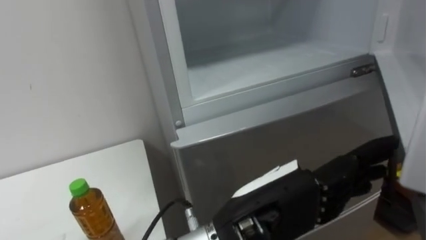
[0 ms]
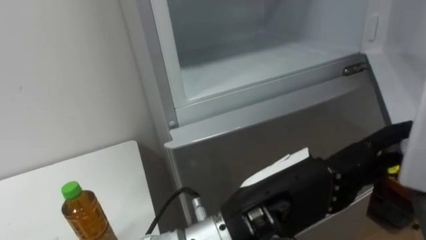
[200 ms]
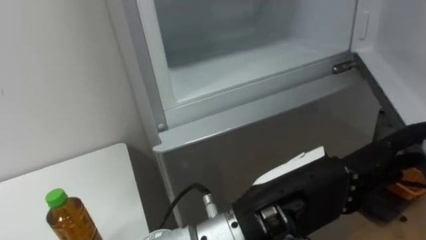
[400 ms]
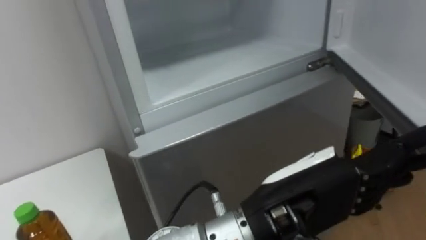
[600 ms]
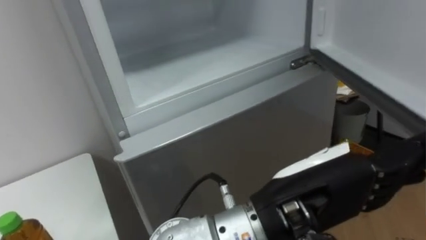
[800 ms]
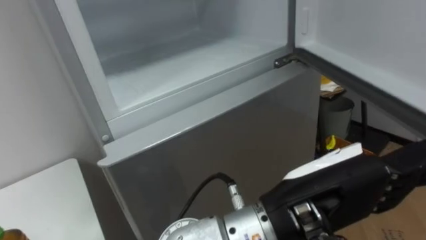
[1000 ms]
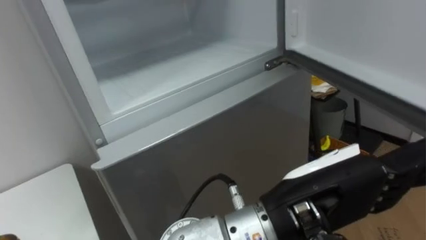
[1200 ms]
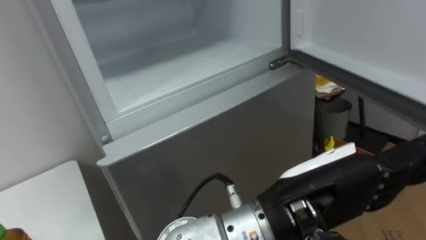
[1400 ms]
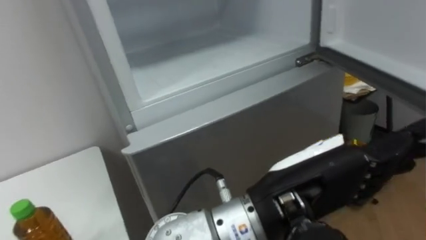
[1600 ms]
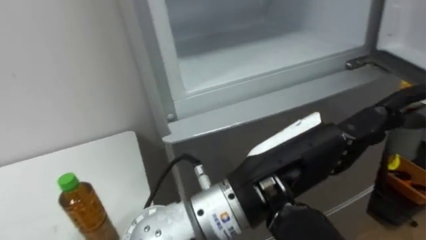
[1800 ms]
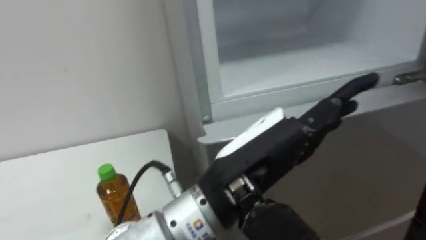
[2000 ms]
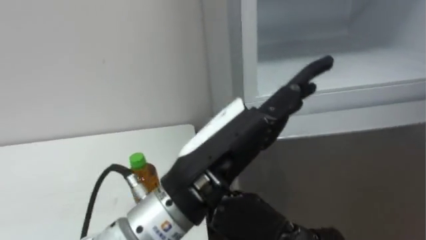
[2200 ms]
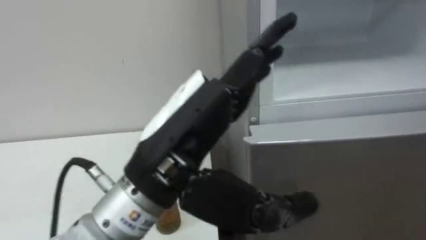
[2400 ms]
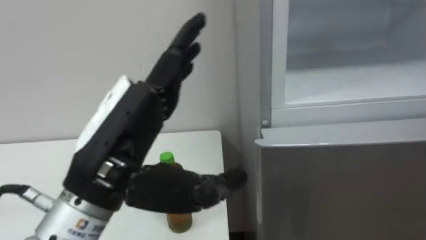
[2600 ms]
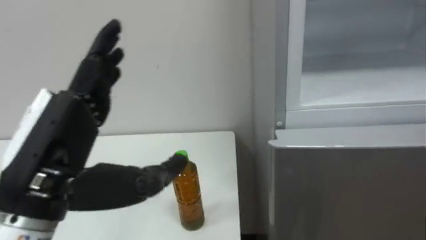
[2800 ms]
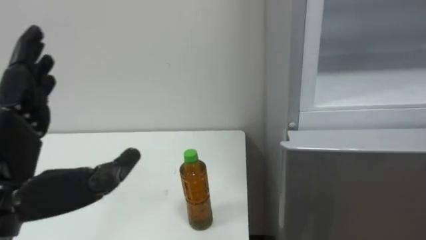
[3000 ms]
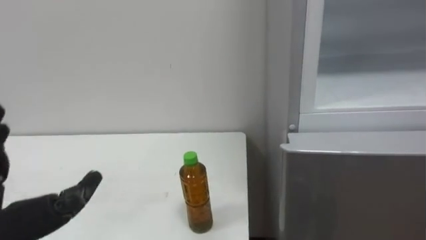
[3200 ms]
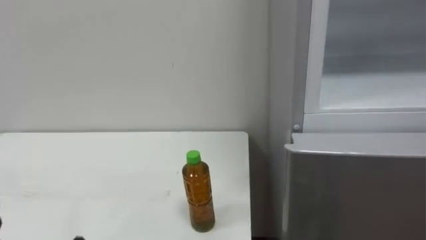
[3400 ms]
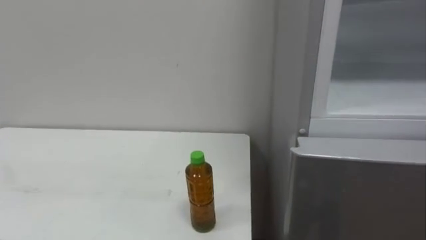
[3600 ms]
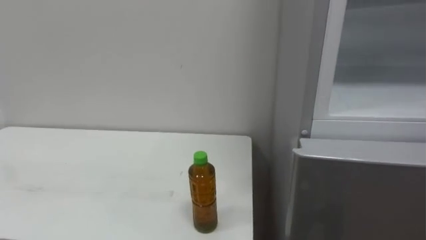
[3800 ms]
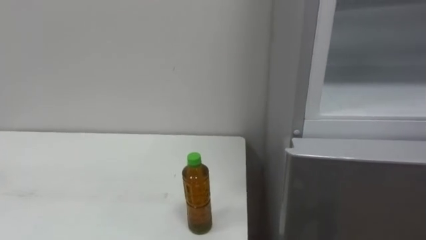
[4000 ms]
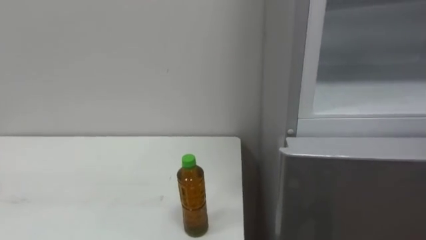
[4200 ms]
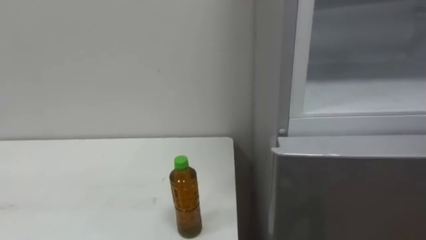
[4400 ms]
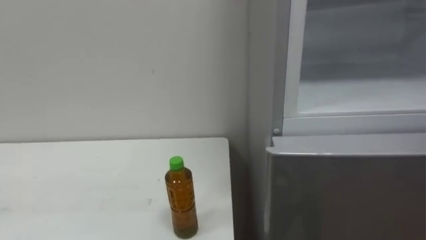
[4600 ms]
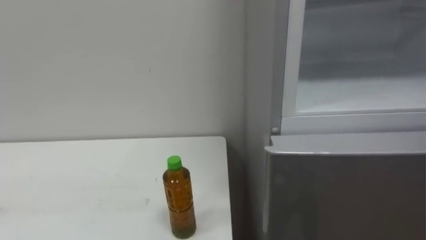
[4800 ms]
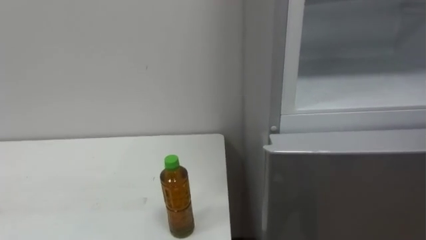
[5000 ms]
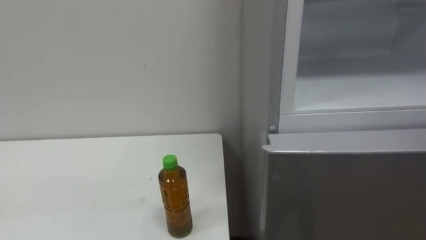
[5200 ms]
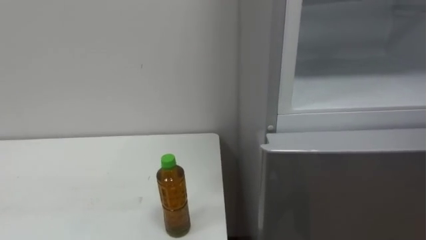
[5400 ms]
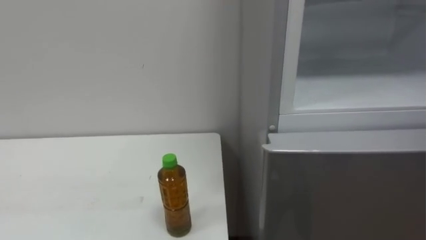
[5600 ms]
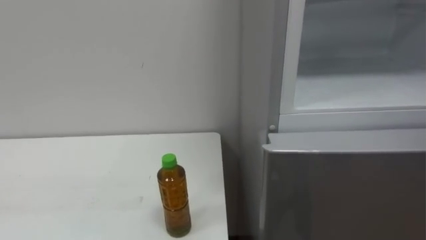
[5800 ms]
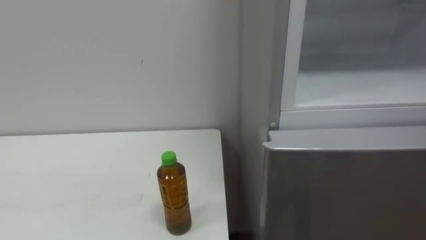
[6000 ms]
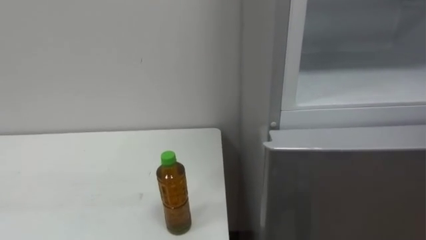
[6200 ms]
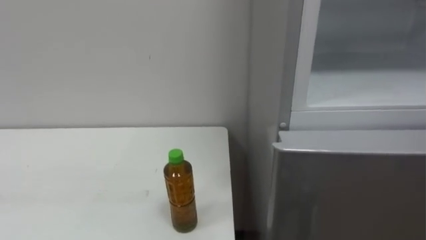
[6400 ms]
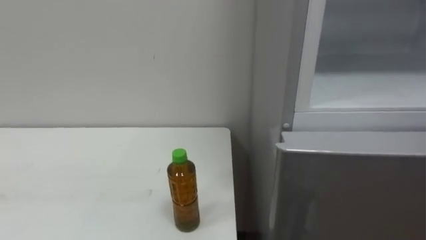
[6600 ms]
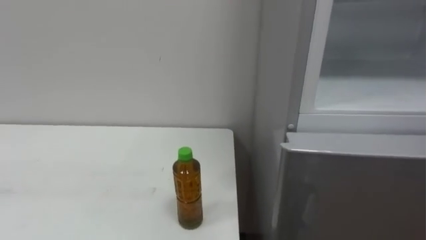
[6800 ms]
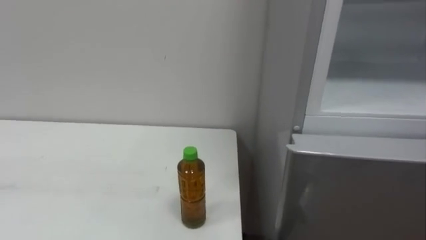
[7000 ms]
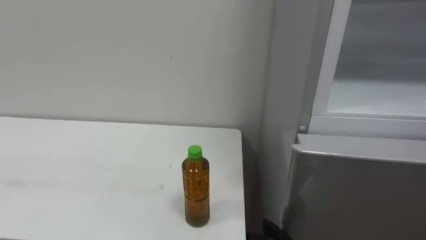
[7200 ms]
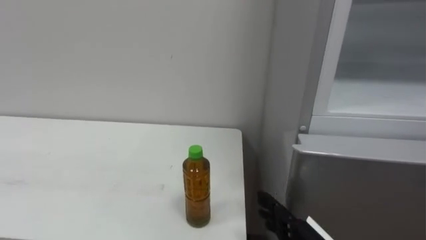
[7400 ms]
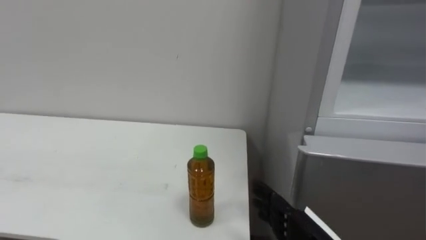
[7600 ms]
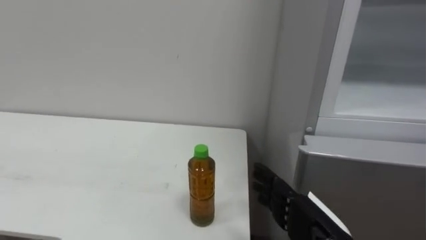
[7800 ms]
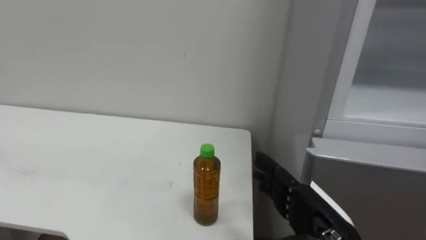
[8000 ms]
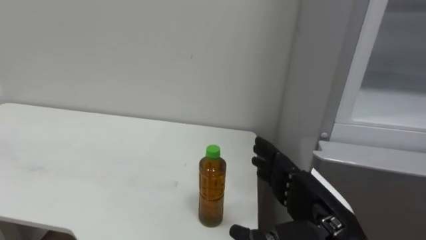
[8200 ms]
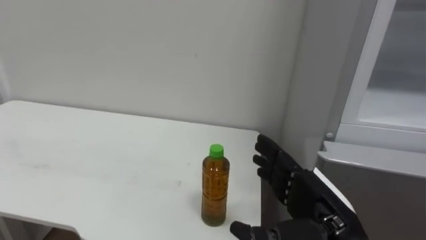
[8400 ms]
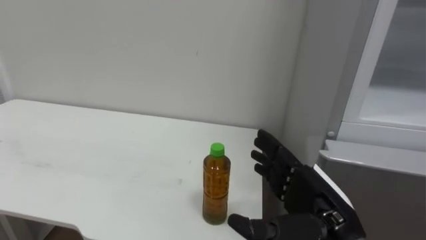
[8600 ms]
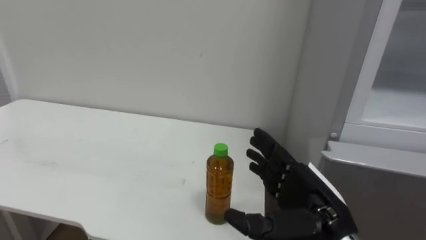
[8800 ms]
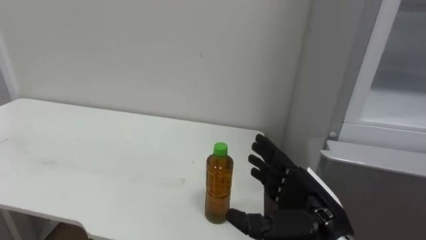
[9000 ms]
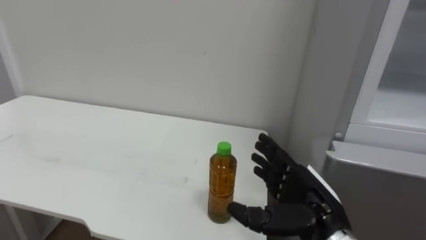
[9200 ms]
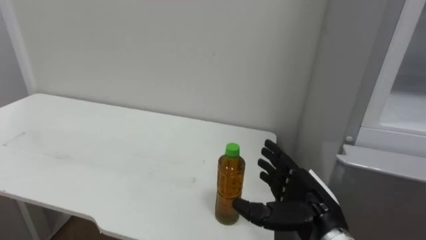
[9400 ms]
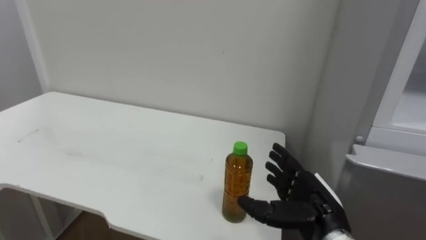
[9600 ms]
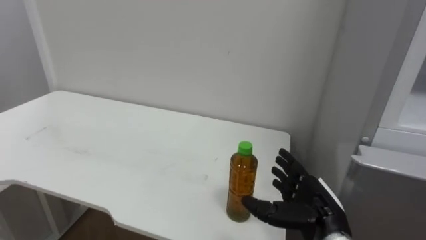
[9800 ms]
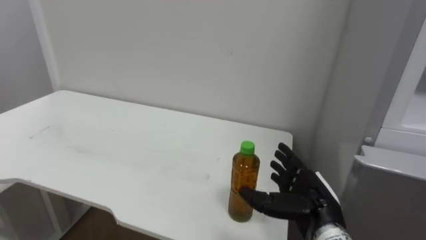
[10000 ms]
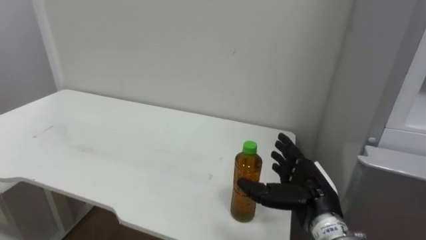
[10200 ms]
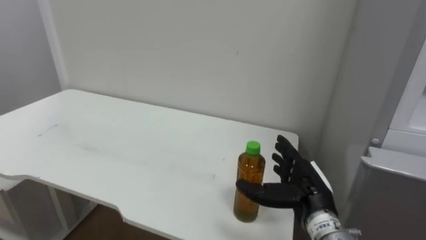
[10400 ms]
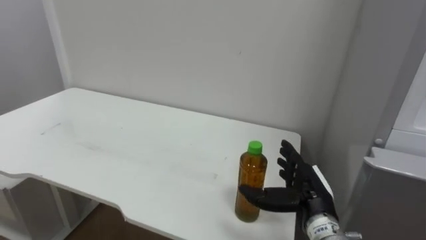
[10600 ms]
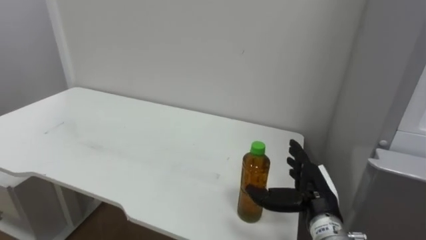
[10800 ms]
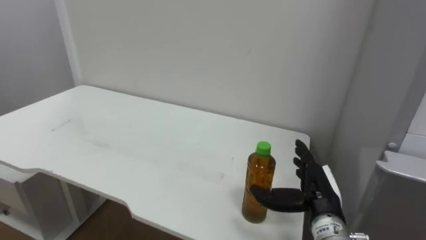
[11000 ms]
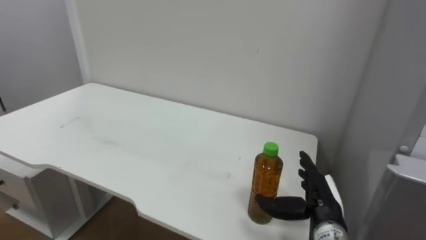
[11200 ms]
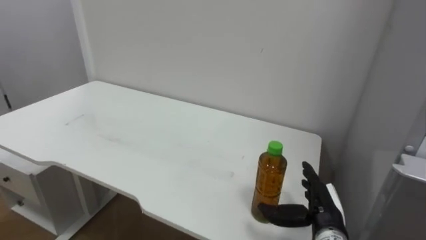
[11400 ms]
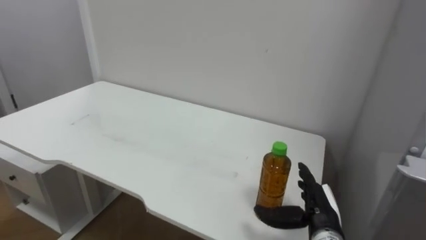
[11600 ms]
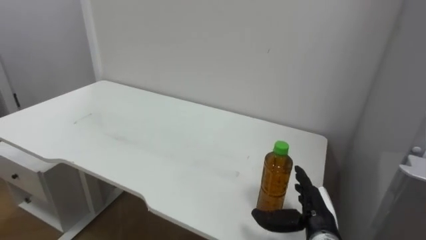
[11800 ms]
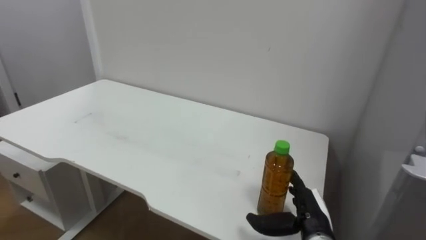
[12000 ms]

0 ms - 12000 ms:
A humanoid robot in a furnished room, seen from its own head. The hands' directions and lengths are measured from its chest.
Task of the whole recording: Open the upper refrigerator door, put the drink from the table into the refrigerator, and then close the refrigerator door.
1600 ms - 3000 ms: The left hand heads to the left, covering roughly 30 cm.
7600 ms - 9000 ms: The right hand ends up some 5 cm from where it was.
9000 ms - 10400 ms: The right hand shifts approximately 5 cm forward.
10400 ms - 12000 ms: The right hand heads downward, covering about 5 cm.

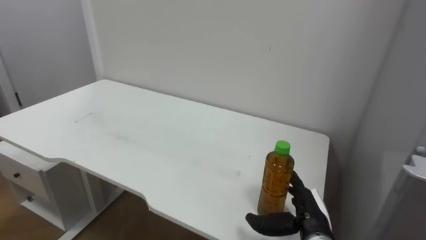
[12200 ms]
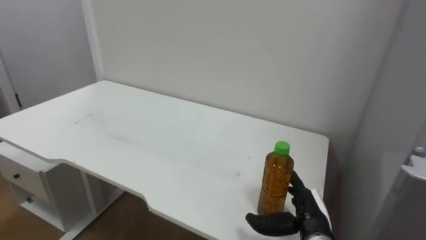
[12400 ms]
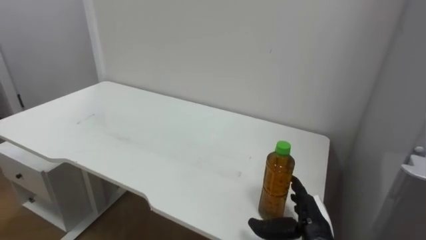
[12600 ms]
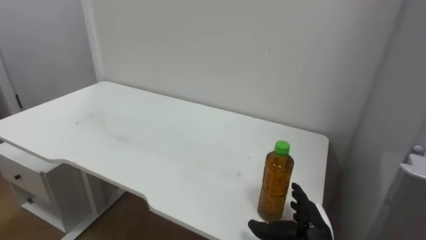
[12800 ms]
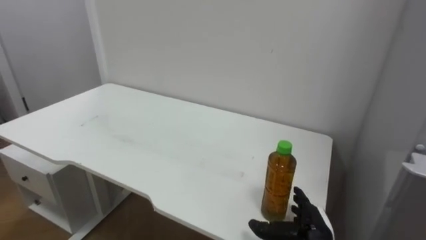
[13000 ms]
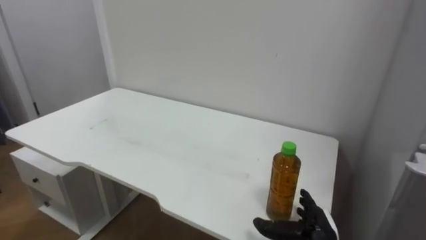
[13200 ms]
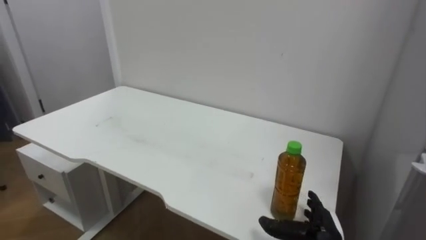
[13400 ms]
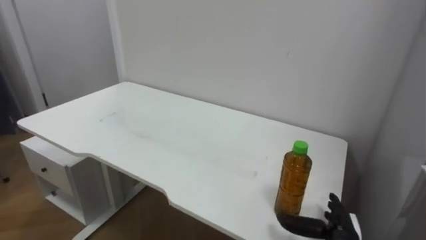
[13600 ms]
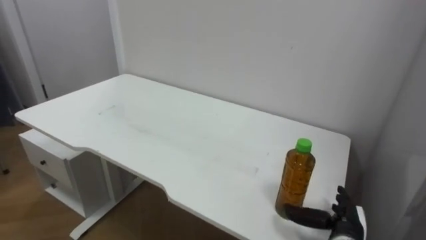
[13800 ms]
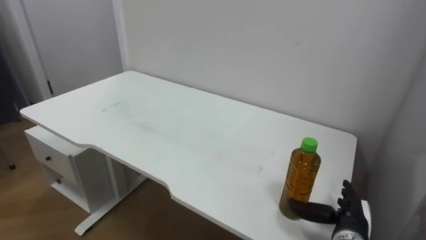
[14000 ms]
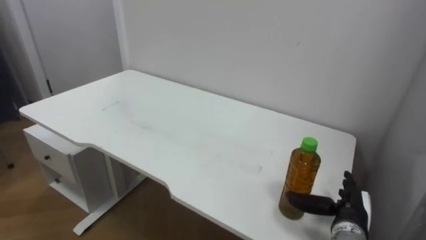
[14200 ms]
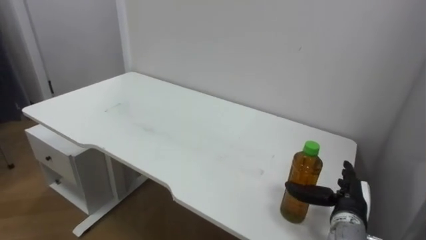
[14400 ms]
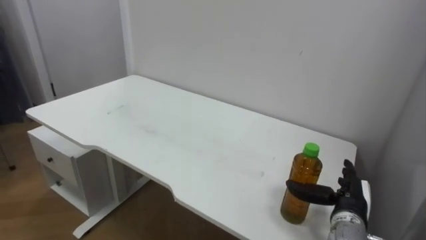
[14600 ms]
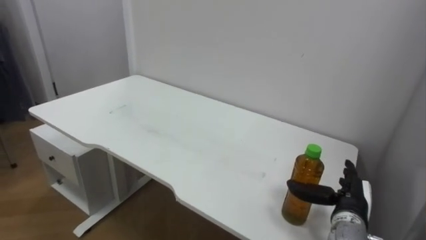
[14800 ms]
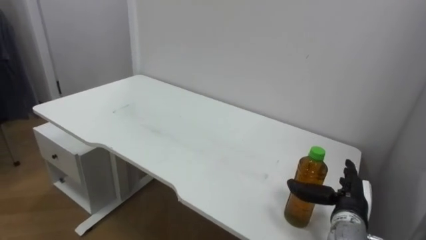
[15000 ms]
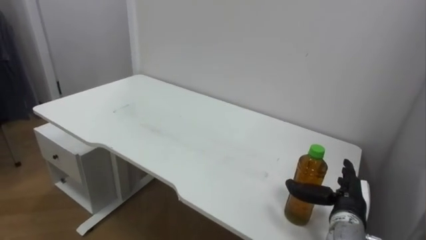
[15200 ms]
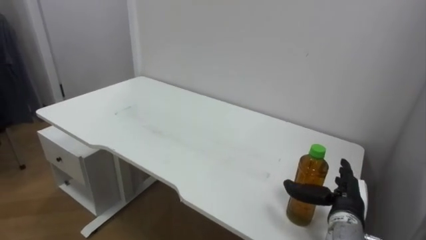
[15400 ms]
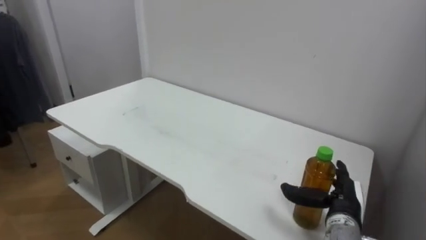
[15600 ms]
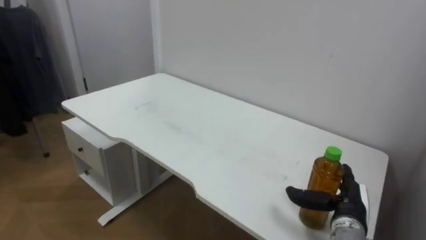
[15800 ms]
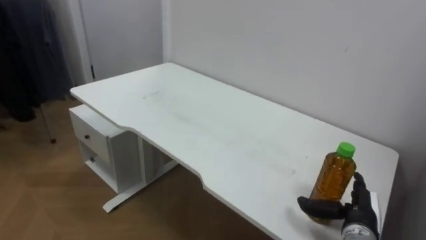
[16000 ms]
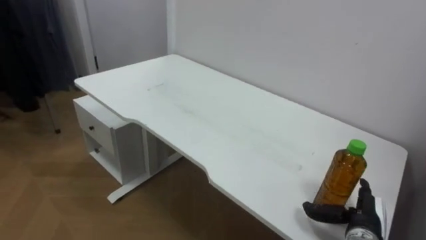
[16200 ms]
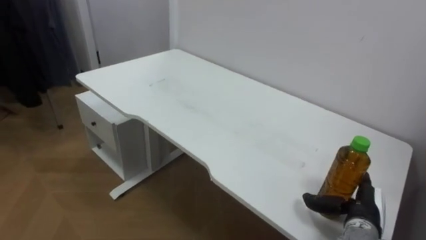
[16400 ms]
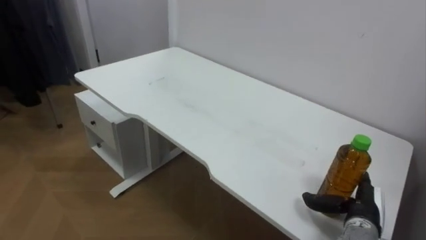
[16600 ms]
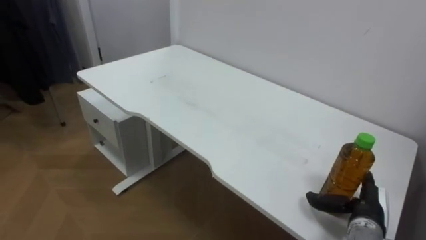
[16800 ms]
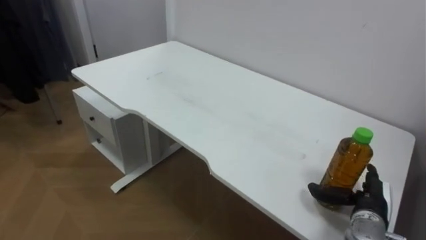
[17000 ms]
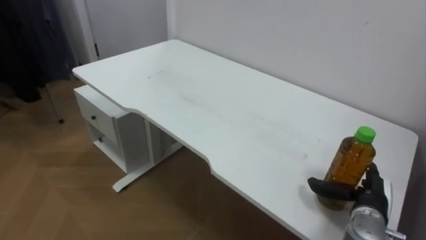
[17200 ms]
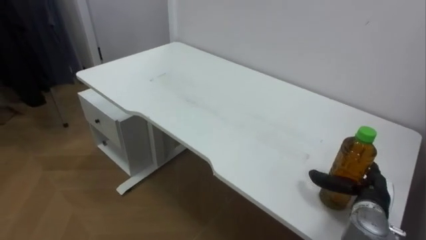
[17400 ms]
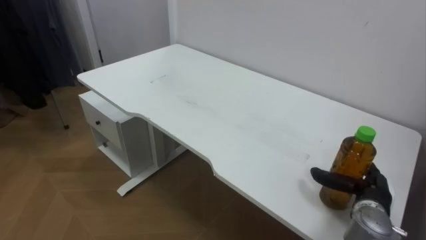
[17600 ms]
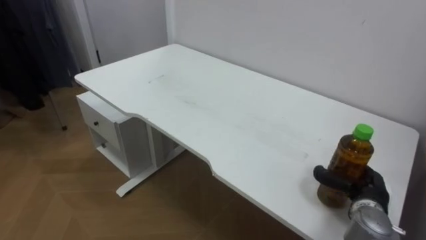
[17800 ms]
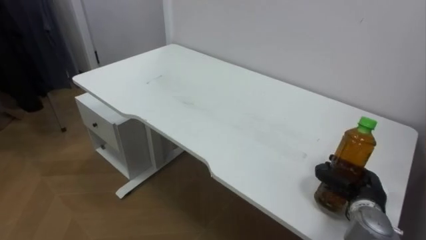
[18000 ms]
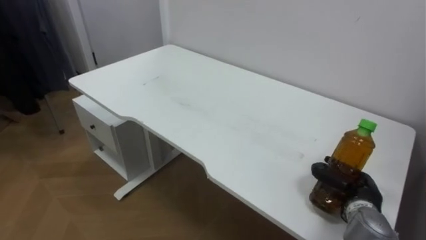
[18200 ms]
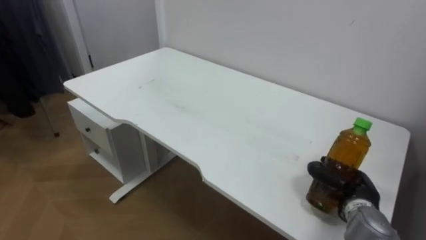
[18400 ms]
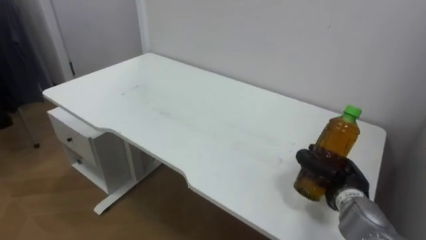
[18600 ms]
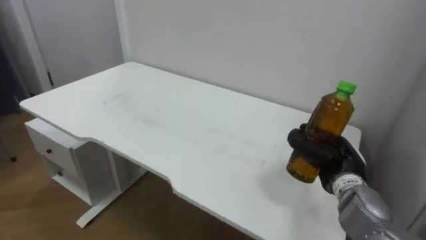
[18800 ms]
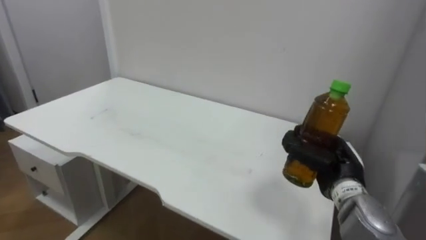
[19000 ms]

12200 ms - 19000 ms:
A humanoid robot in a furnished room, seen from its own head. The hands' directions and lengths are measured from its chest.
Task of the whole recording: Open the upper refrigerator door, put the drink from the table into the refrigerator, and then close the refrigerator door.
12200 ms - 13600 ms: The right hand moves roughly 5 cm.
13600 ms - 15000 ms: The right hand goes about 5 cm upward.
17600 ms - 19000 ms: The right hand moves upward and to the left, approximately 10 cm, and closes.
